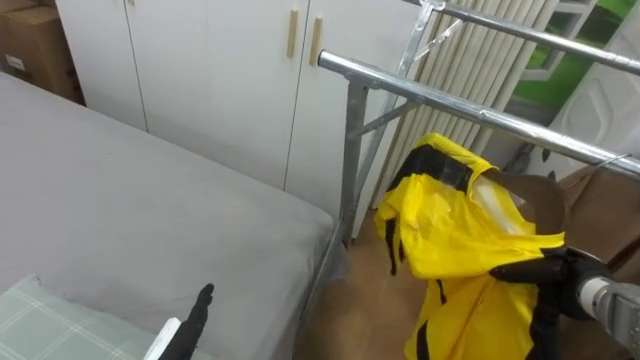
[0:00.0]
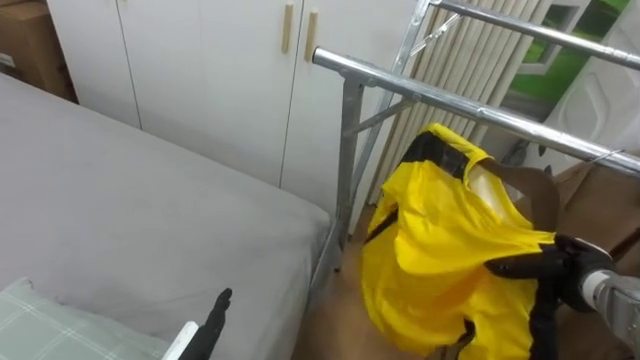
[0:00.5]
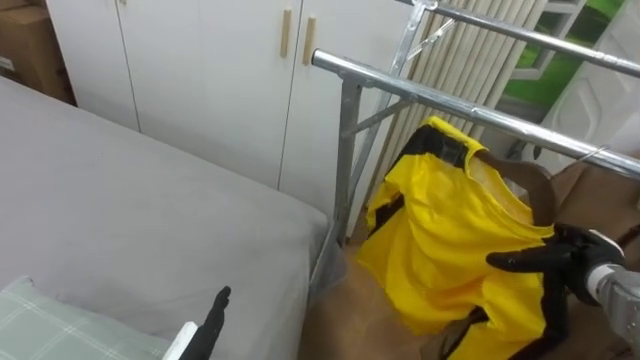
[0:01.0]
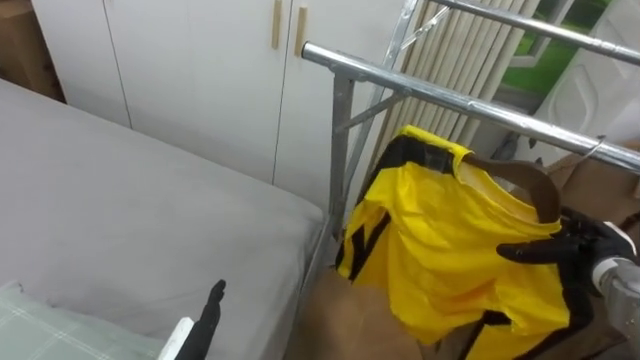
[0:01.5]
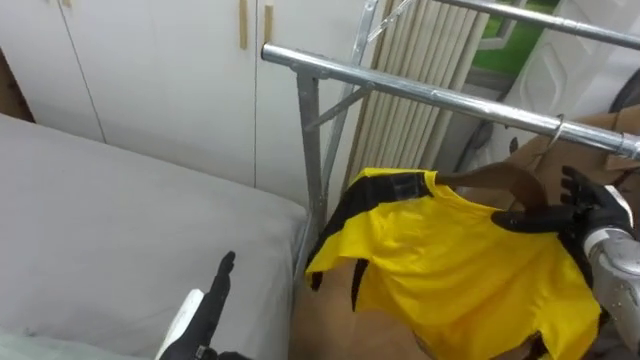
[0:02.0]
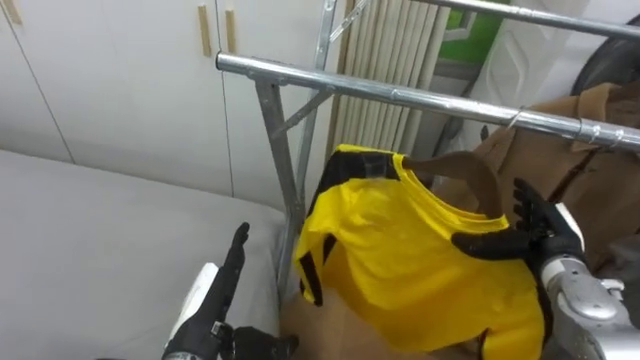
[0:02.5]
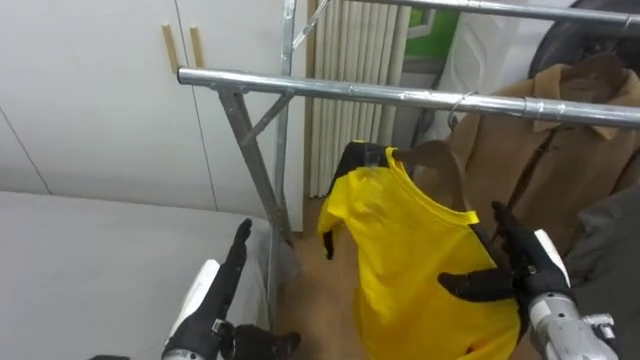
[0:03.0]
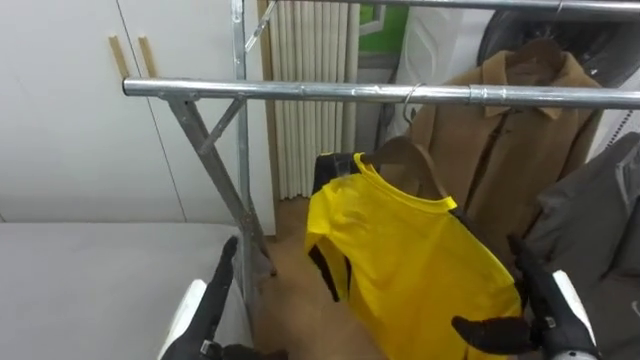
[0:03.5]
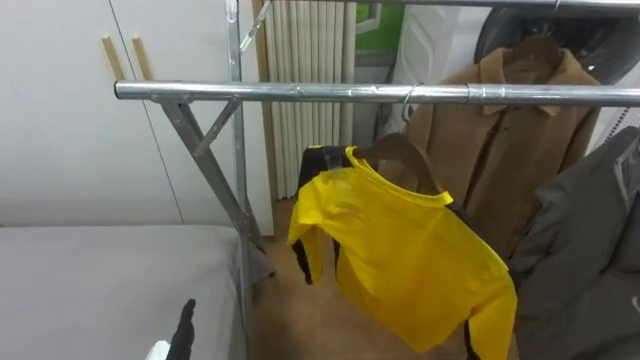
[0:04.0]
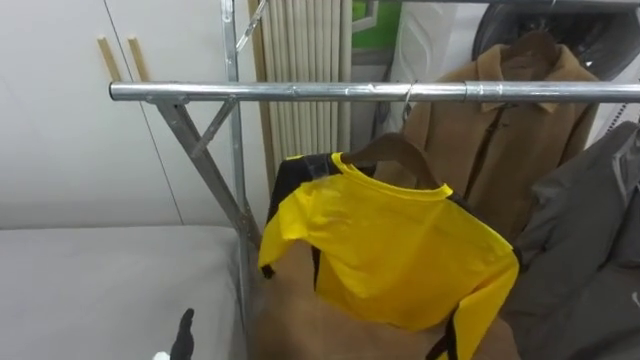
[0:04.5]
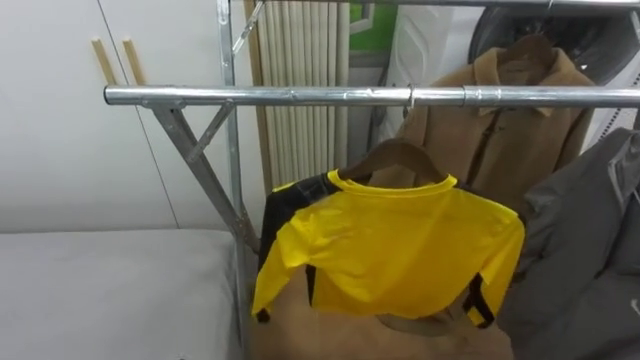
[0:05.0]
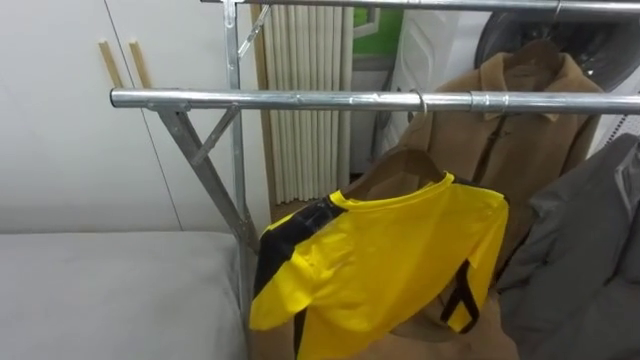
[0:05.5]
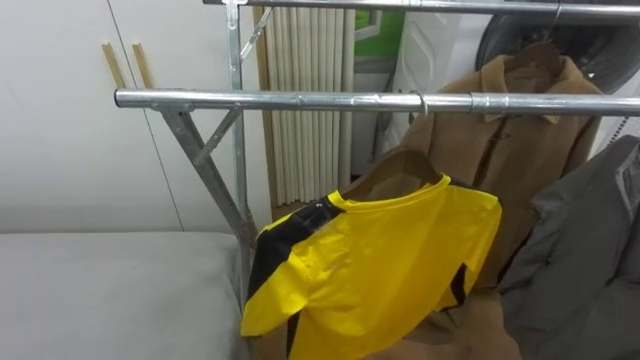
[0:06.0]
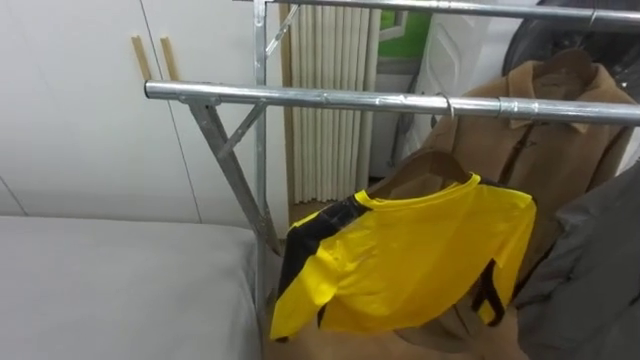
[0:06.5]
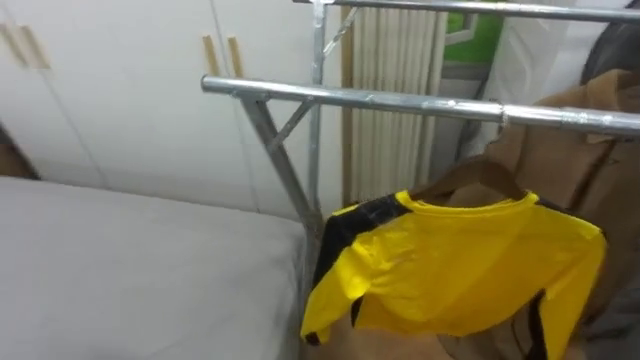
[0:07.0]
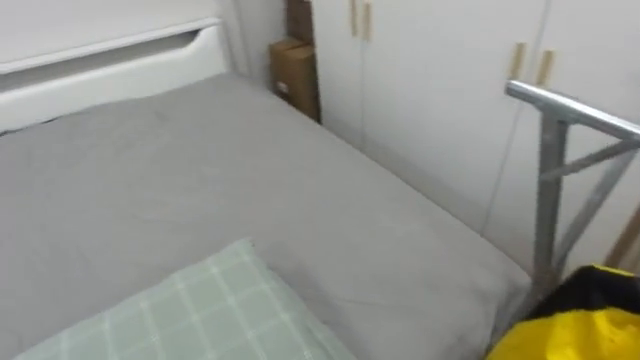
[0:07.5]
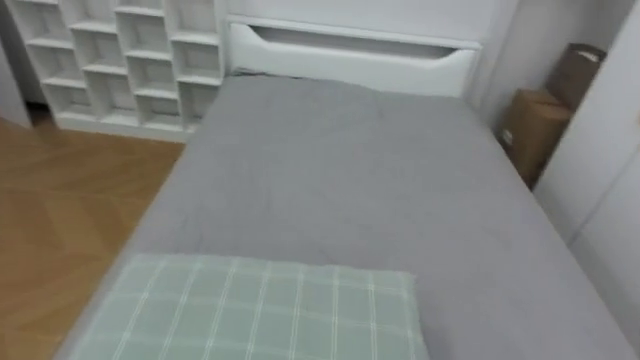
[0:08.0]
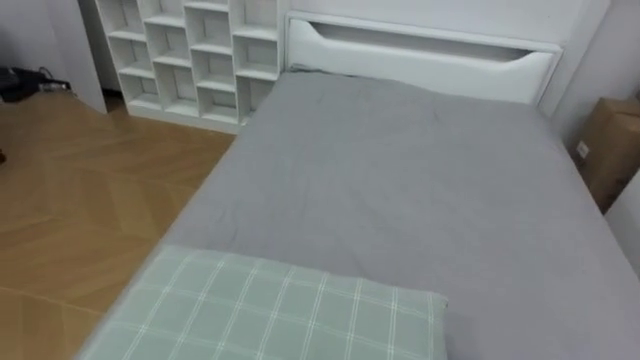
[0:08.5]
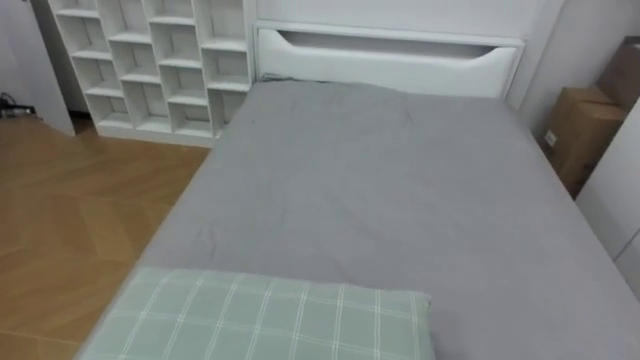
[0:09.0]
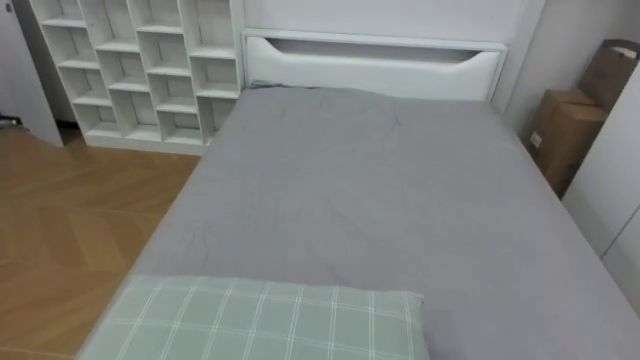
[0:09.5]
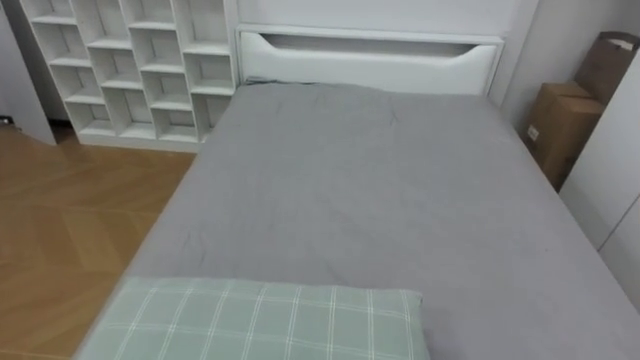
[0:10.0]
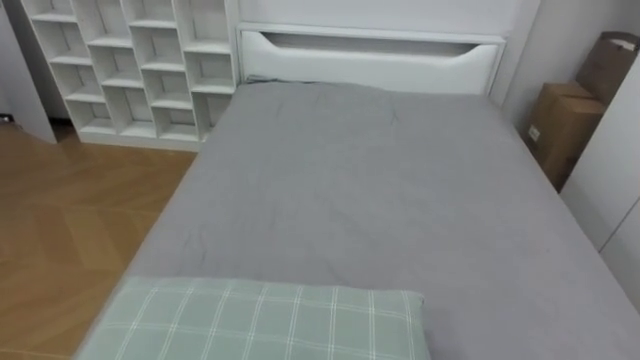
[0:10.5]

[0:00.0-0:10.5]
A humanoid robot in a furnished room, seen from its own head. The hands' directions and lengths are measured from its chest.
Task of the whole recording: Pick up the yellow shirt on the bed and hang it on the clothes rack on the right.
0:00.0 to 0:02.0: The right hand goes roughly 5 cm upward, and opens its fingers.
0:06.5 to 0:08.5: The robot rotates some 95 degrees to its left.

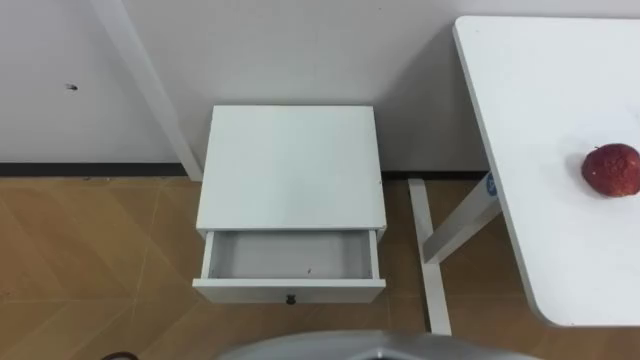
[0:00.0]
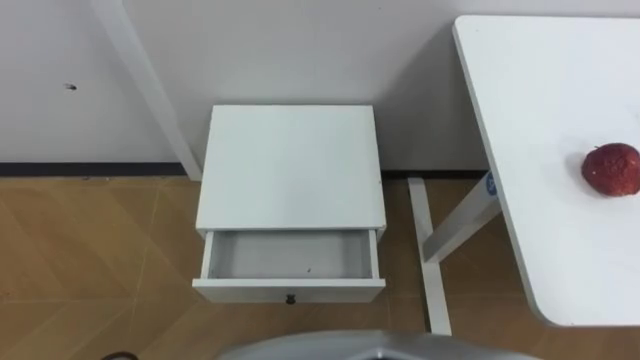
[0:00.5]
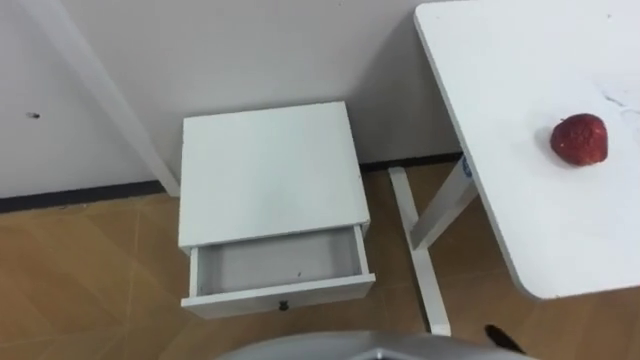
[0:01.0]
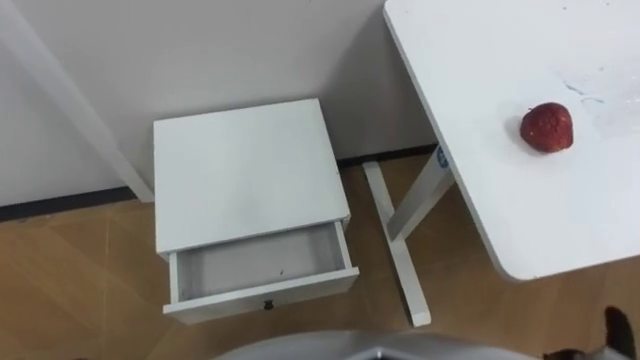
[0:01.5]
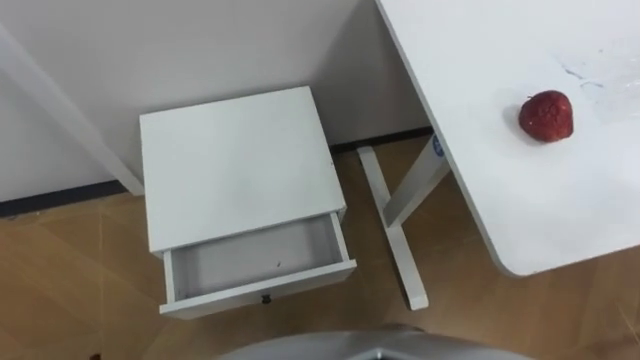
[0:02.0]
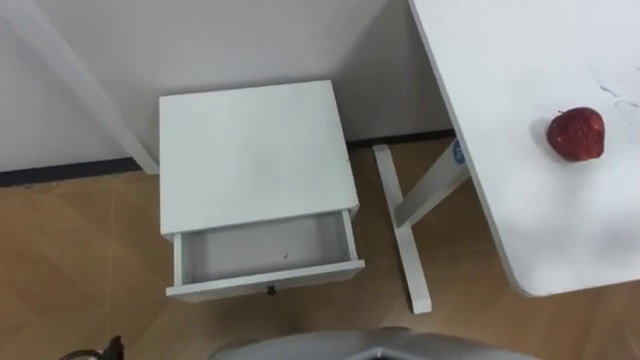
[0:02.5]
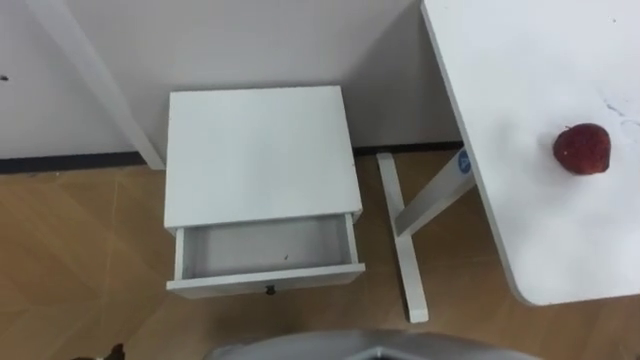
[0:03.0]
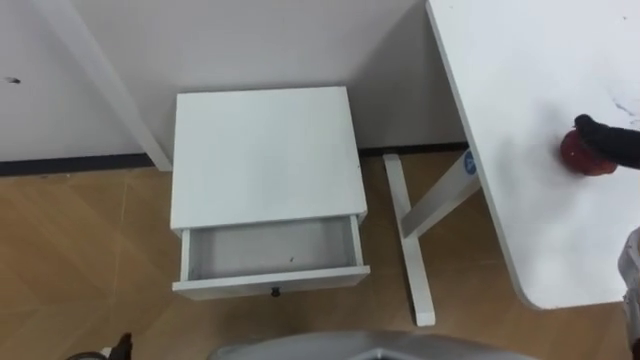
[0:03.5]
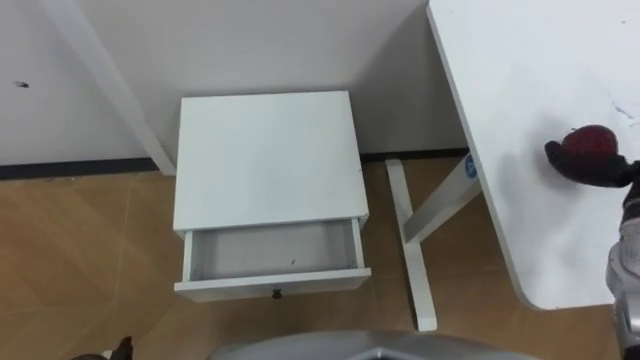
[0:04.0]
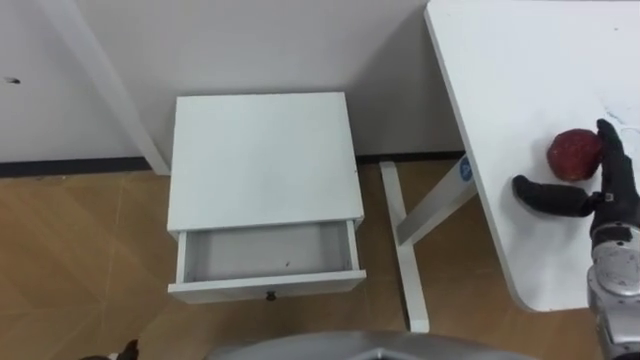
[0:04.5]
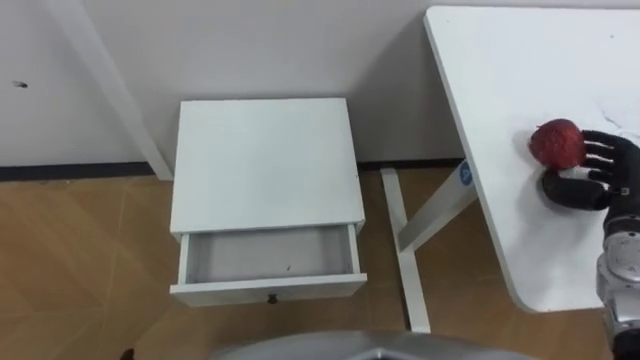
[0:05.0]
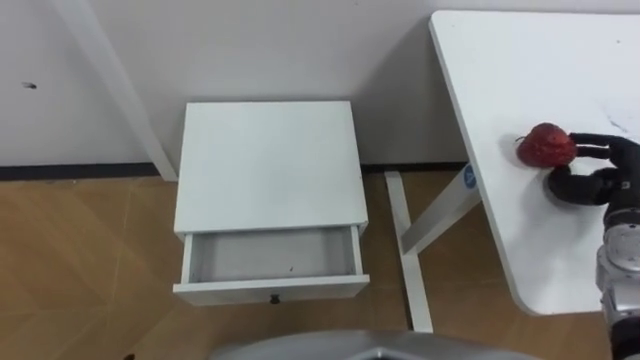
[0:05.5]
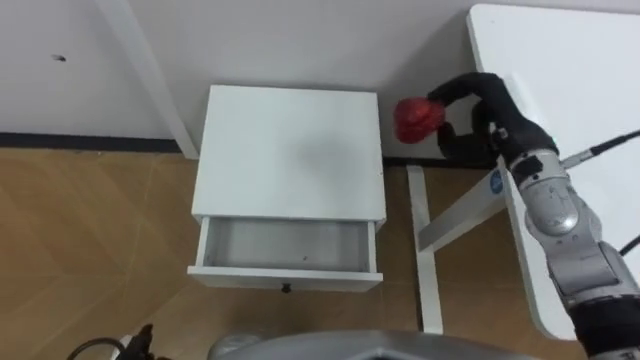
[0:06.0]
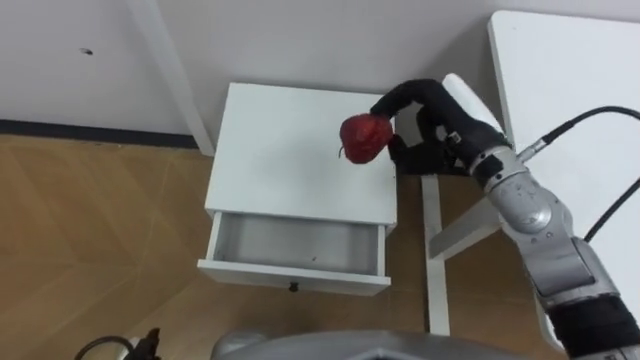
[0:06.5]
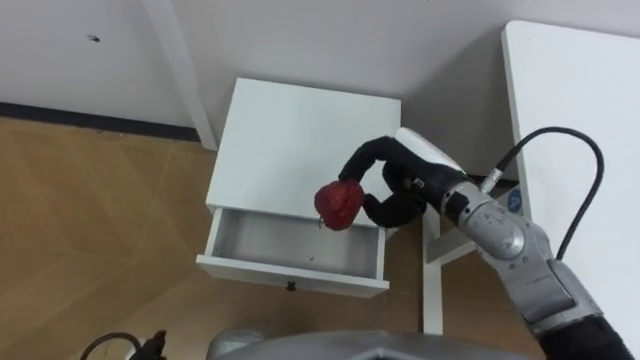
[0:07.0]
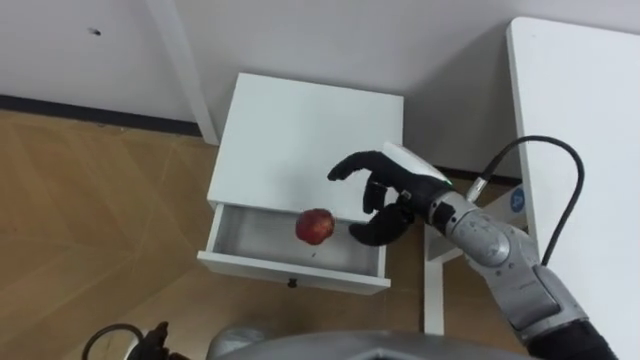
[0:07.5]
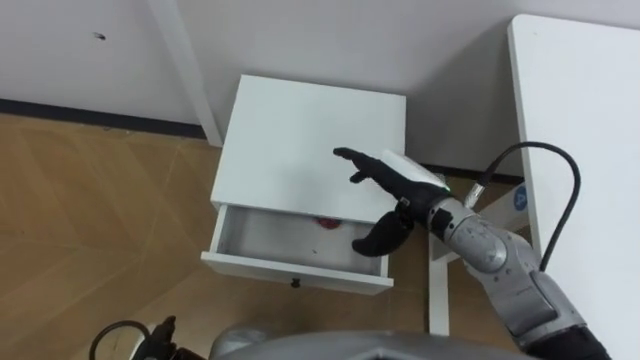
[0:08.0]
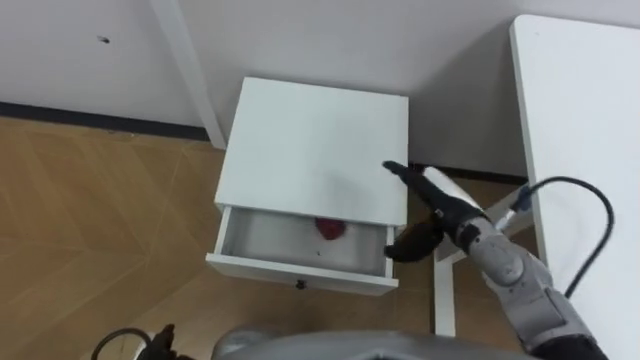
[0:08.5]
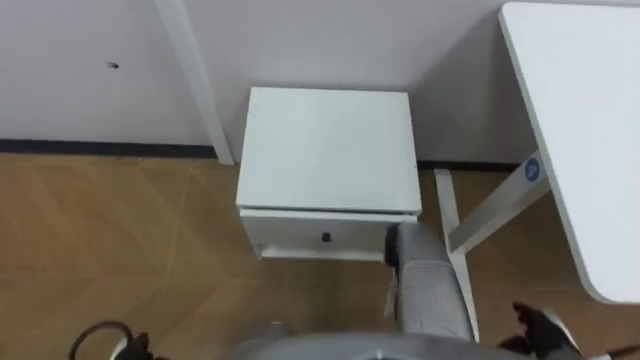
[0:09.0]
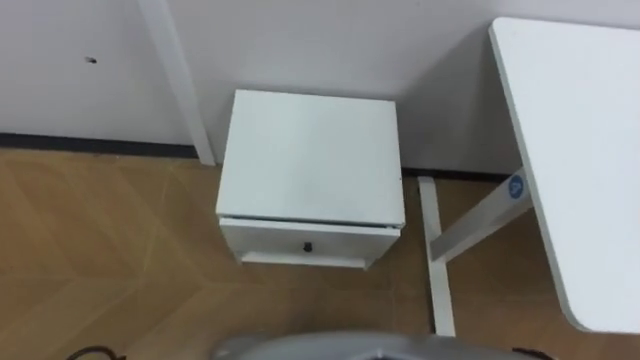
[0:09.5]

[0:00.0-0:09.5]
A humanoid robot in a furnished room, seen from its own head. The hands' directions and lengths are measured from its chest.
Task of the whole recording: Pick up the apple from the table, put it in the drawer, and close the drawer with leg.
0:05.5 to 0:07.5: The right hand is displaced to the left by some 30 cm.
